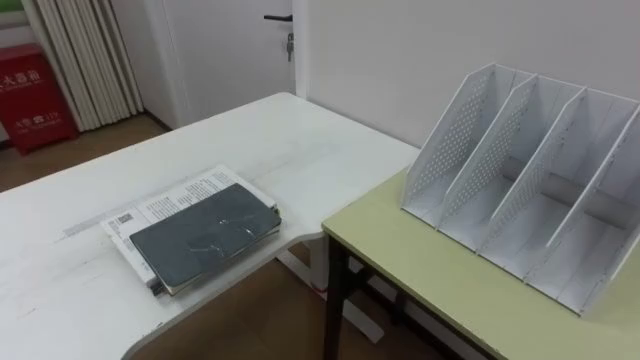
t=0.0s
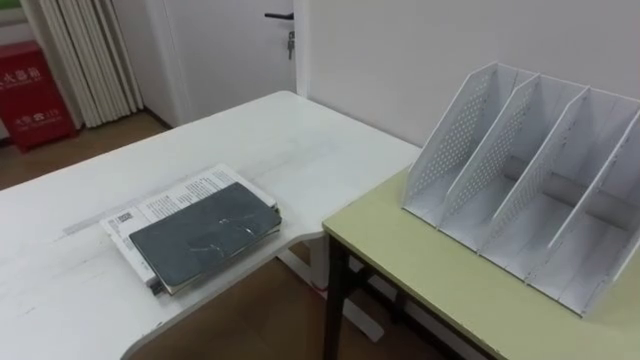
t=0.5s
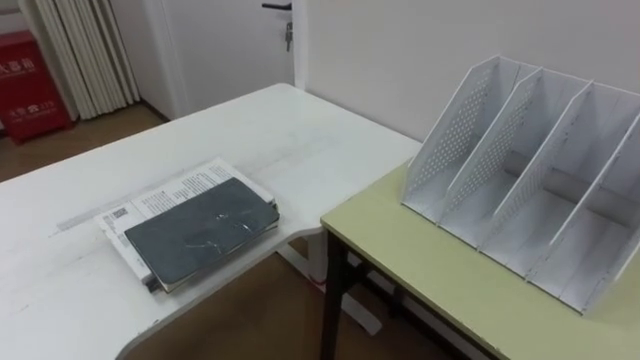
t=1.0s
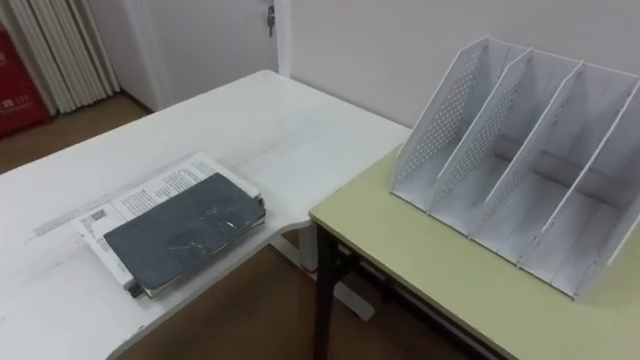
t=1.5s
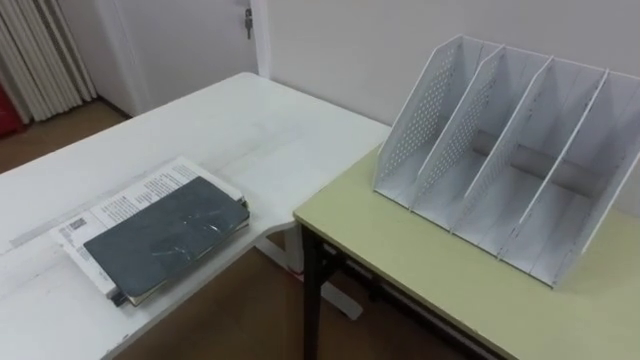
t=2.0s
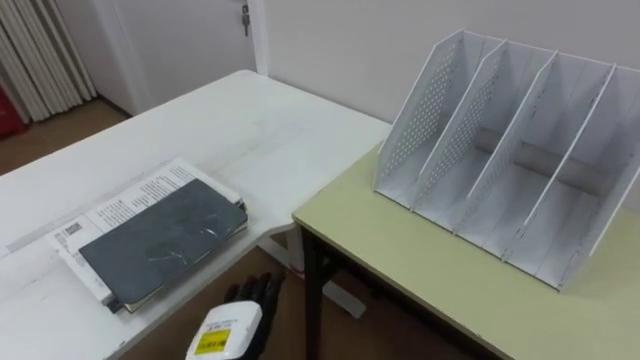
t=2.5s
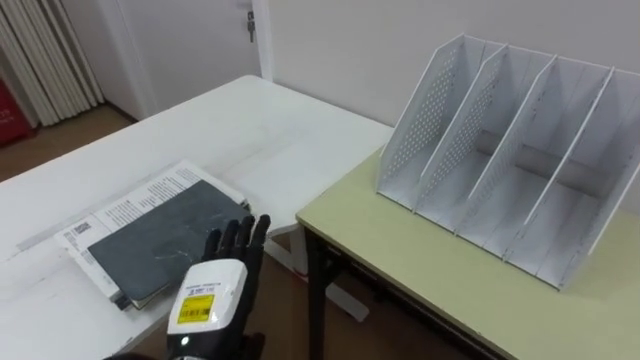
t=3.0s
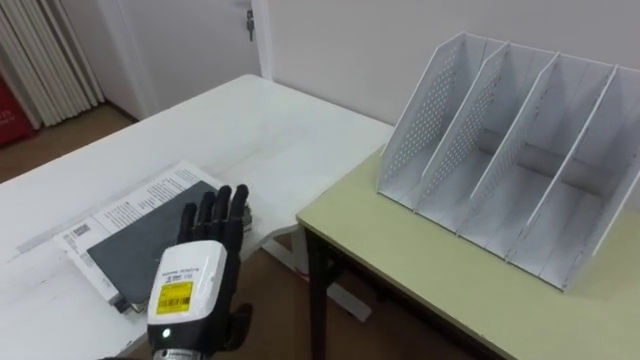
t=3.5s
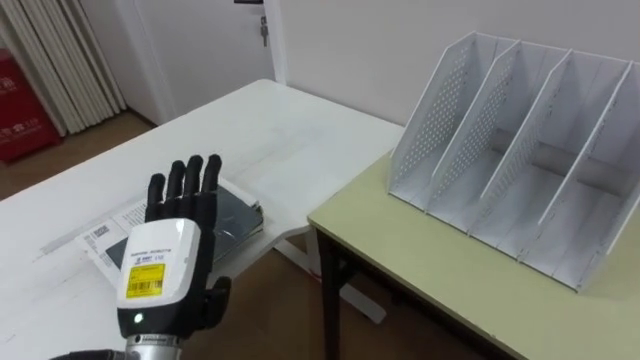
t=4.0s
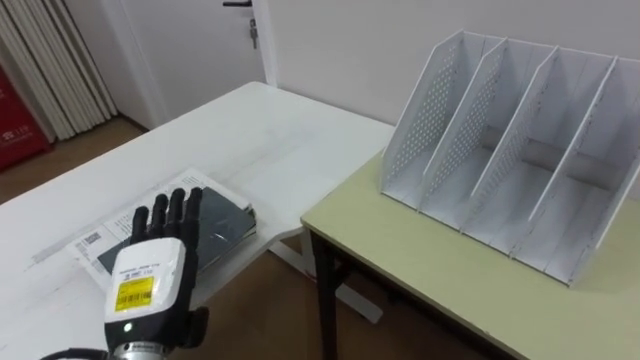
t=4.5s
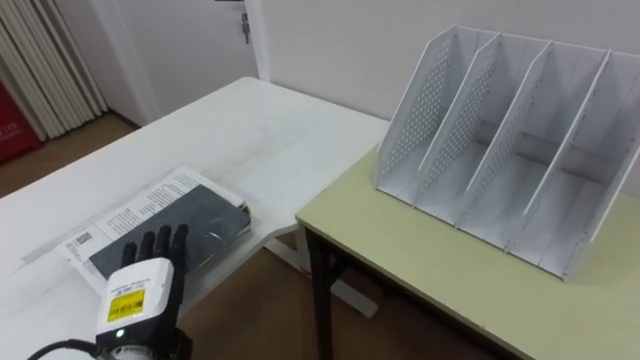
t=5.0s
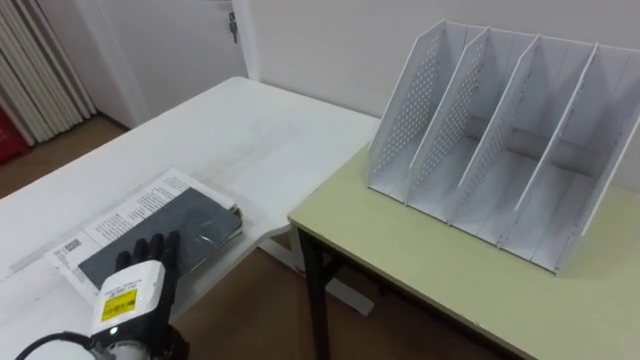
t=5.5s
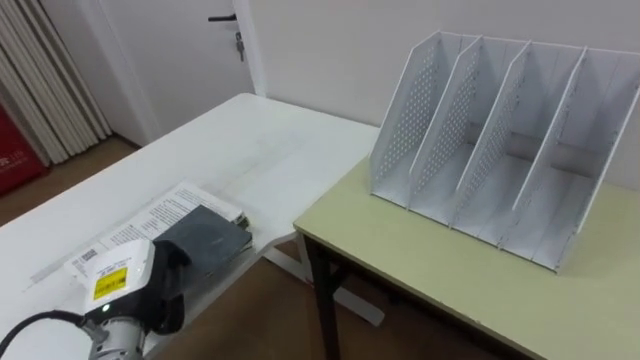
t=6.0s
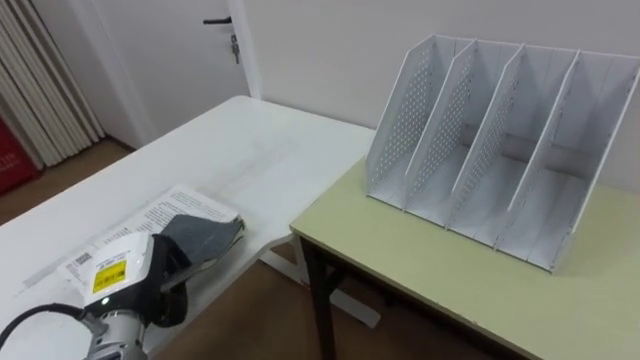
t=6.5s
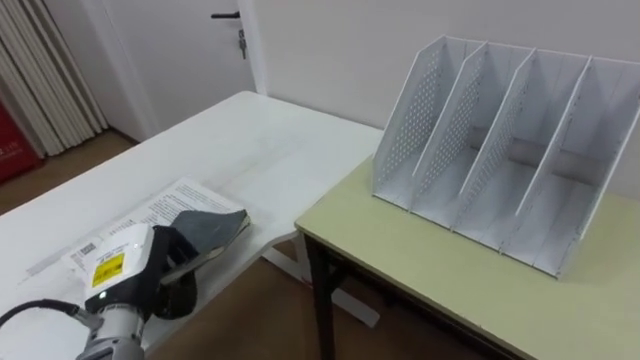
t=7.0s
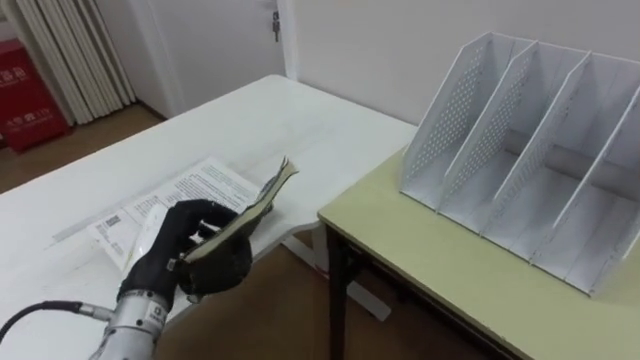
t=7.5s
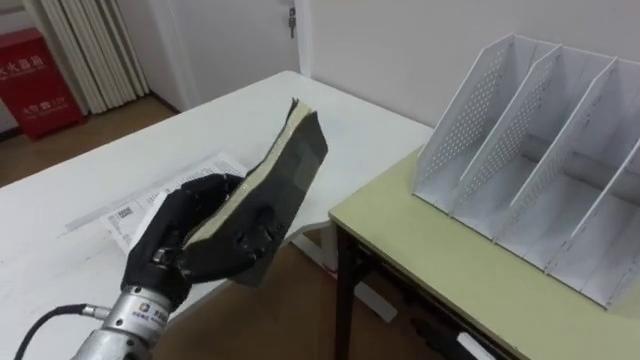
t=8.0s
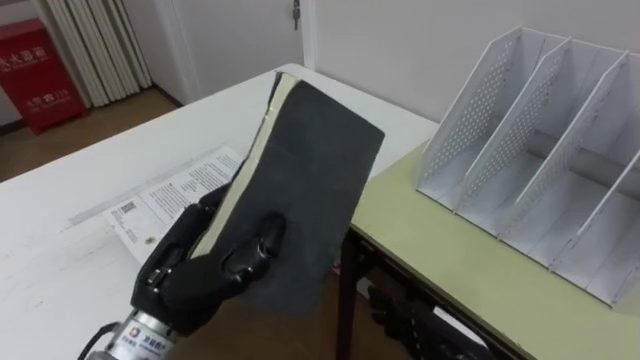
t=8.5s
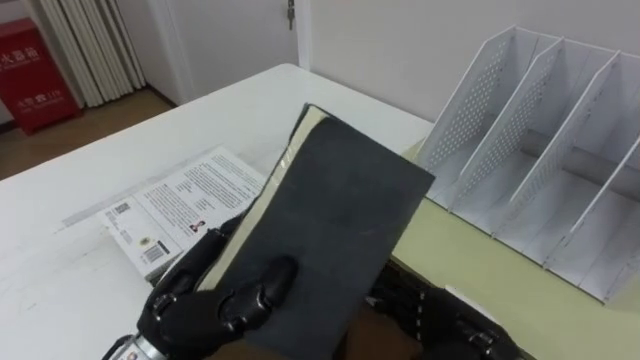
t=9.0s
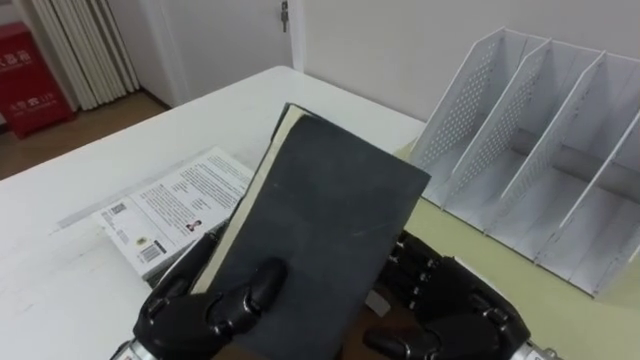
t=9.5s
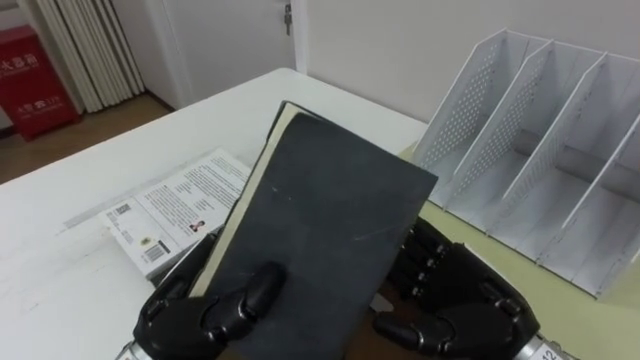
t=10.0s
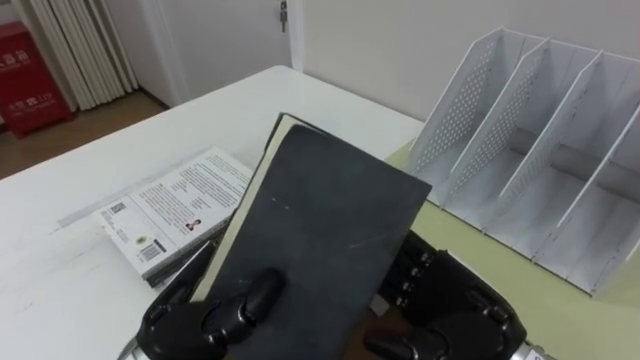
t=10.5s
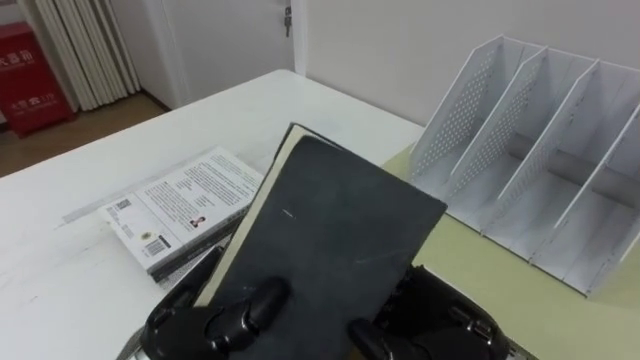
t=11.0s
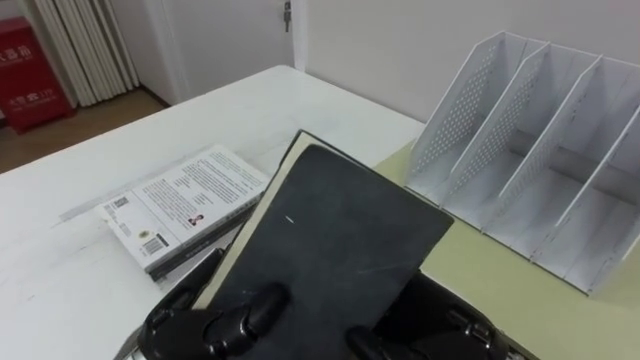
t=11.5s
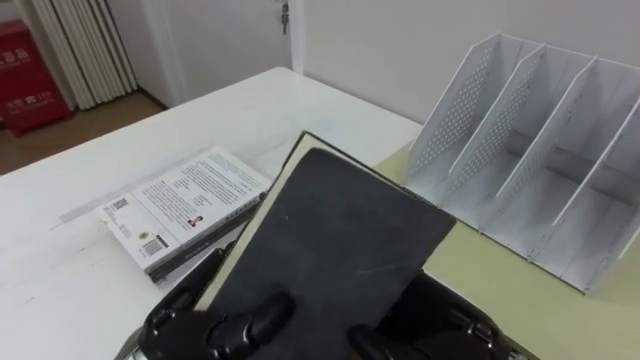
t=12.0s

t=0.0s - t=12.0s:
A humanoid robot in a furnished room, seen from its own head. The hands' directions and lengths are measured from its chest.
Task of the whole recording: Put the books on the table onto the bookshelf.
t=4.0s - t=6.0s: The left hand moves downward and to the left, about 10 cm, and closes.
t=6.0s - t=8.0s: The left hand goes some 10 cm upward and to the right.
t=8.0s - t=10.0s: The right hand goes approximately 15 cm upward. The left hand goes about 5 cm backward.
t=10.0s - t=12.0s: The right hand closes its fingers.

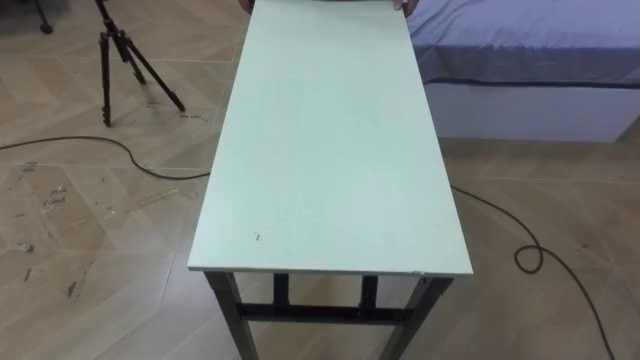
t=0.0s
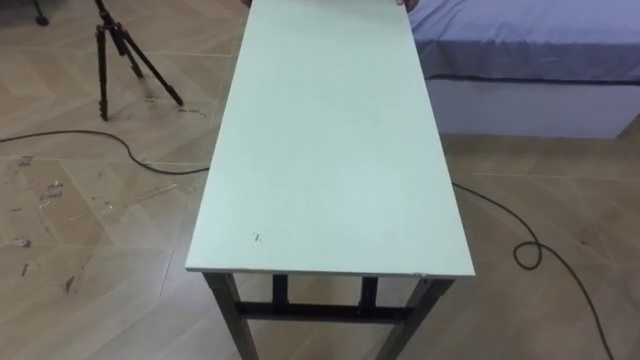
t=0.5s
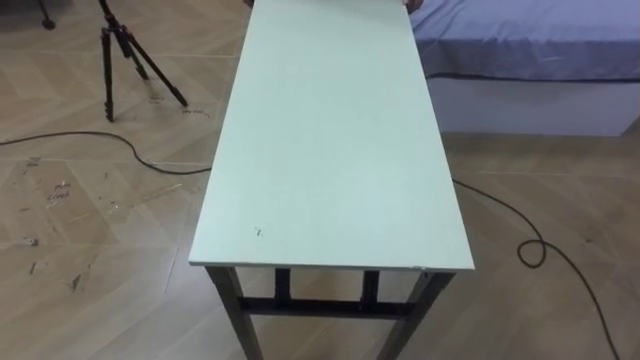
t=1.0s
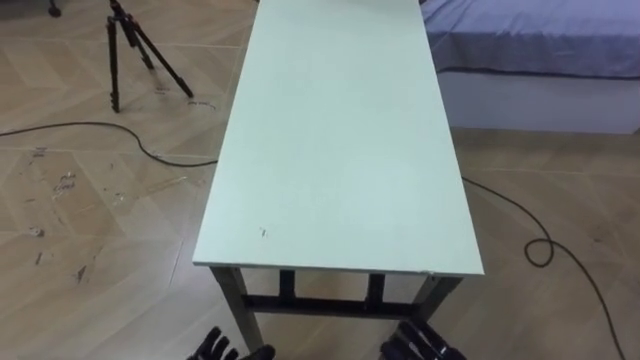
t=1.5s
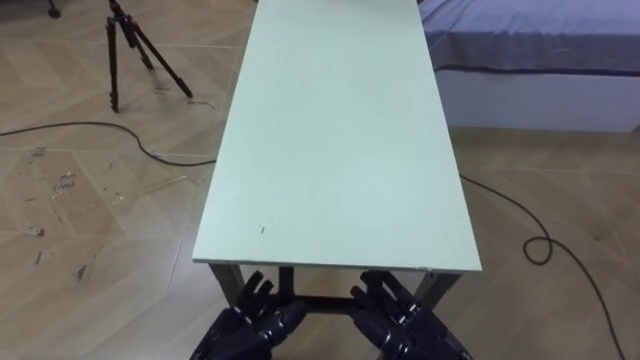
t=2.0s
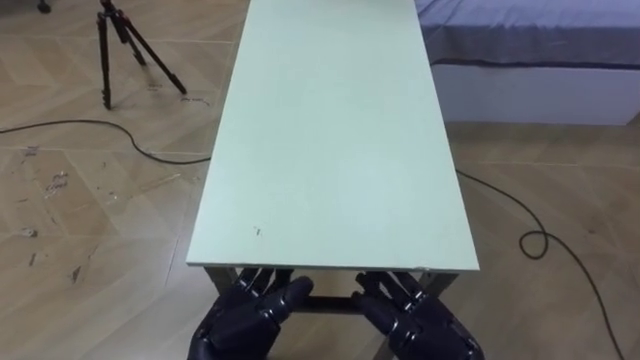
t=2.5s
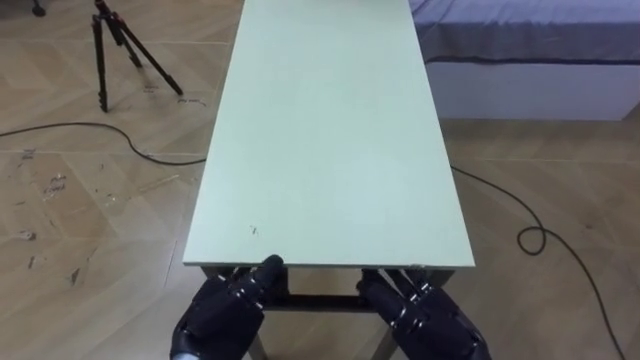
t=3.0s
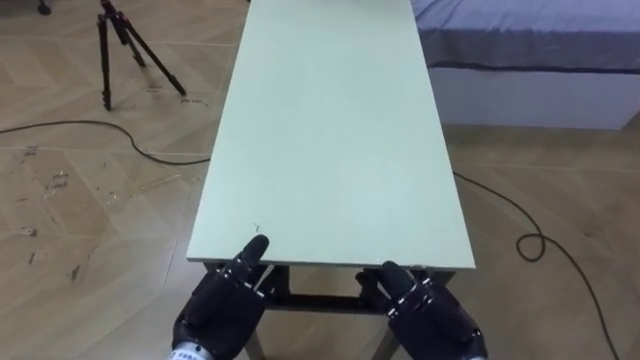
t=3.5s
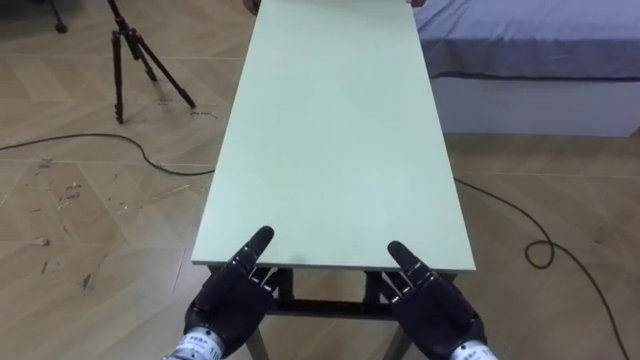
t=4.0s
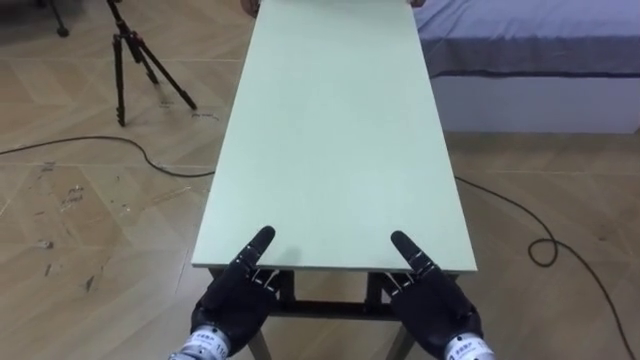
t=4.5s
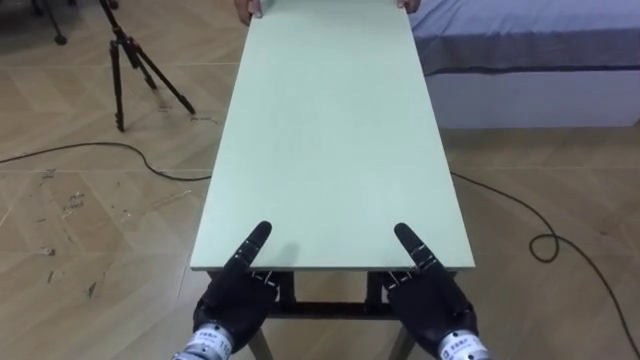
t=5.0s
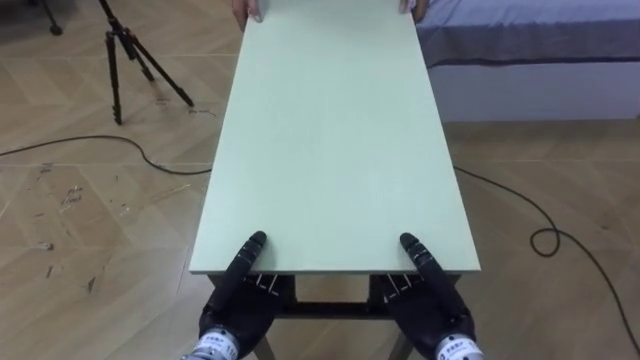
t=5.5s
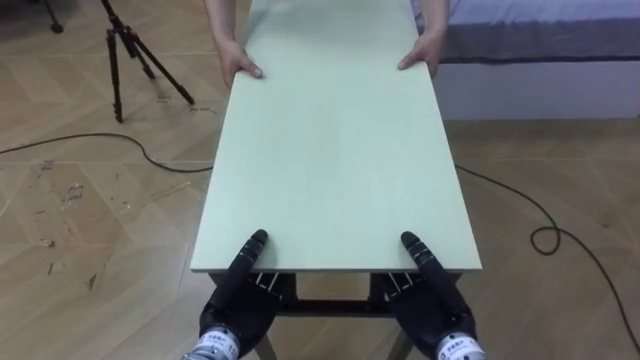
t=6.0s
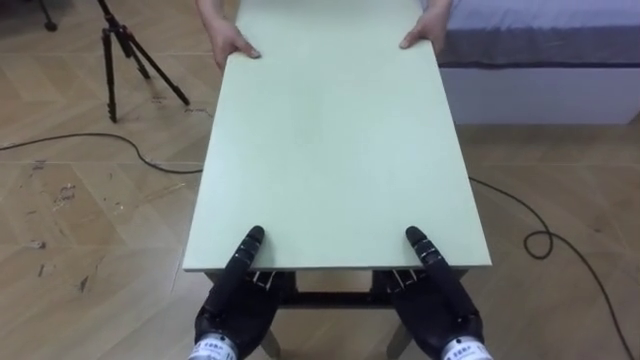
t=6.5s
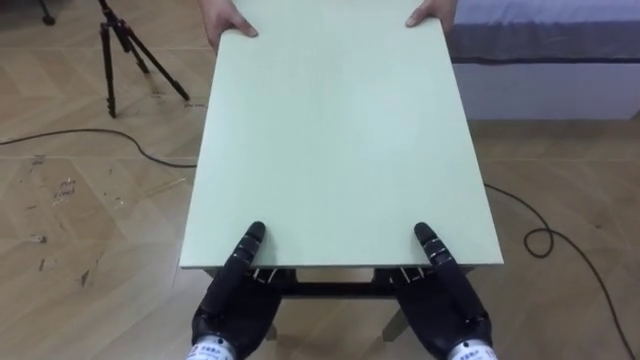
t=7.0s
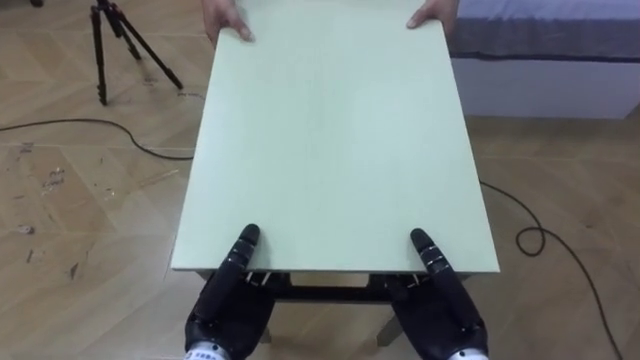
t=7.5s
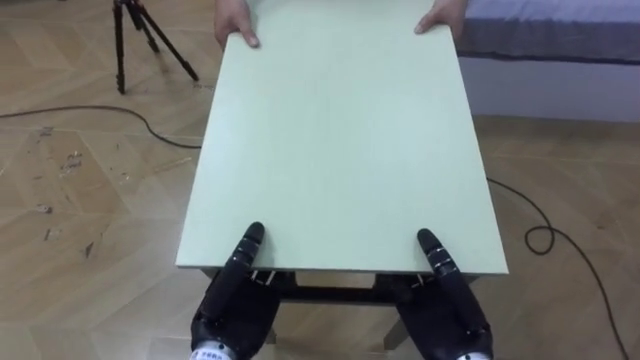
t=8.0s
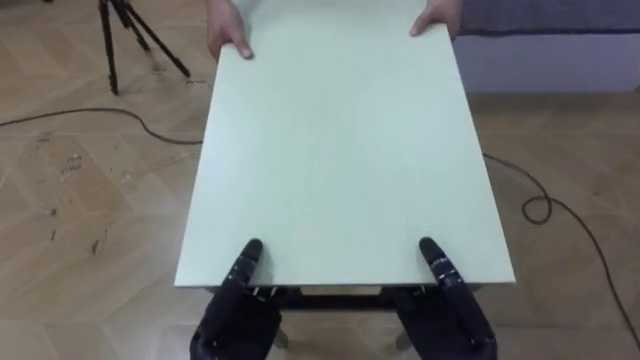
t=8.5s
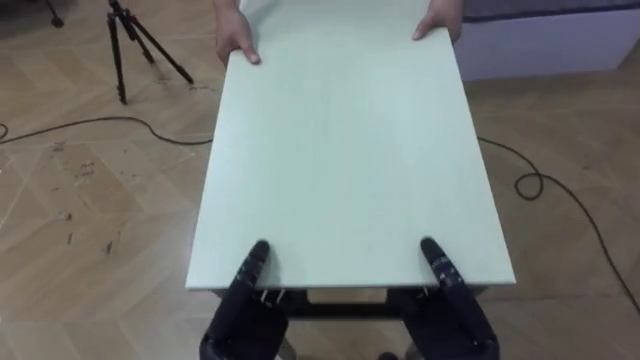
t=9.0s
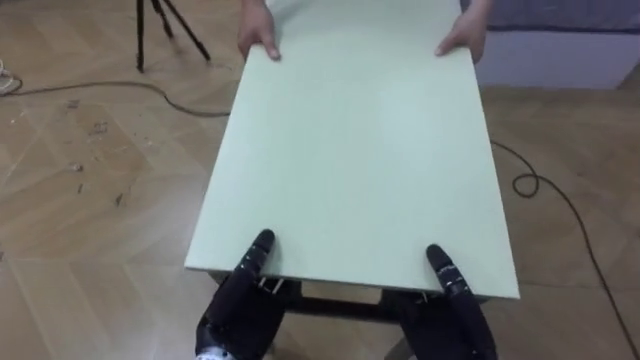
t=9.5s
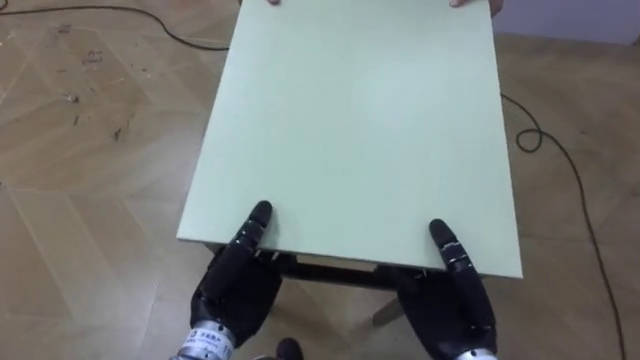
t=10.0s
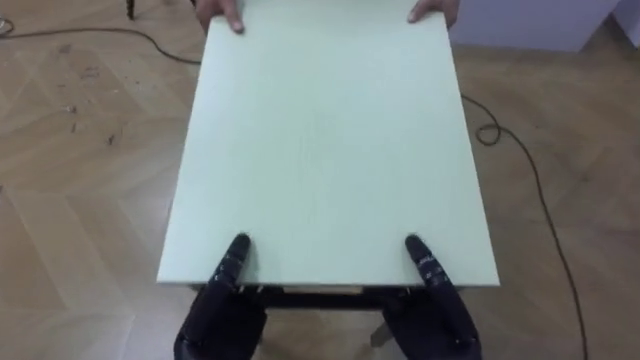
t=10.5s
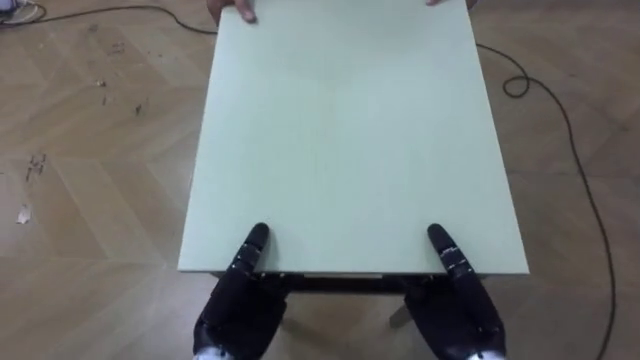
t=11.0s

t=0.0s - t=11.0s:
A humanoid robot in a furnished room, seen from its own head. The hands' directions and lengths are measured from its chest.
Task of the whole recording: Move the table to the back left with someone.
t=2.0s - t=3.5s: The left hand ends up approximately 5 cm from where it was.
t=3.5s - t=5.5s: The left hand closes its fingers. The right hand closes.
